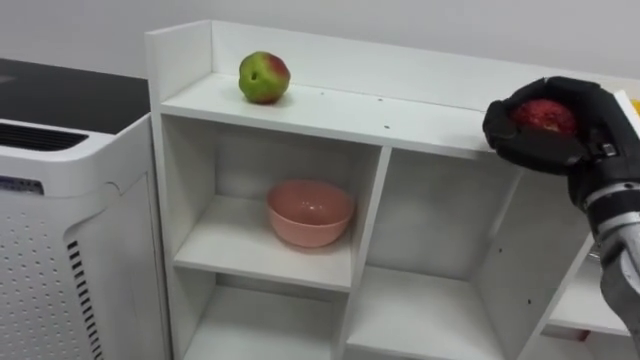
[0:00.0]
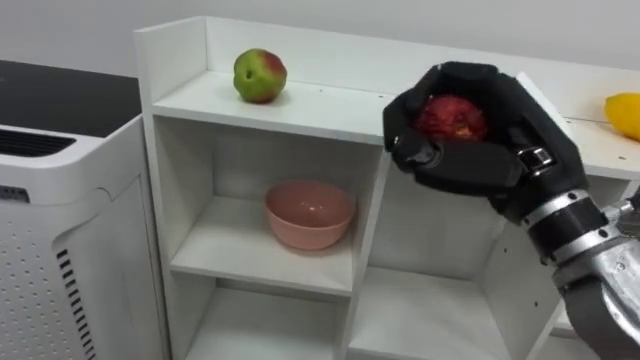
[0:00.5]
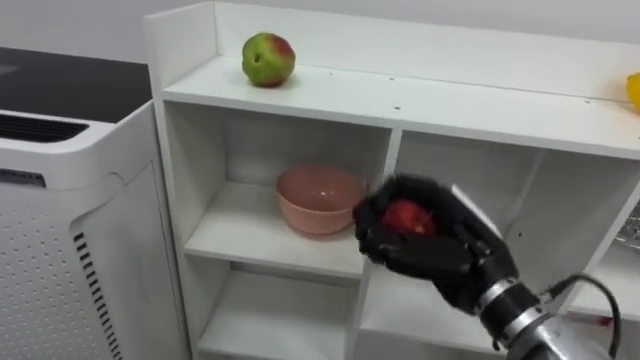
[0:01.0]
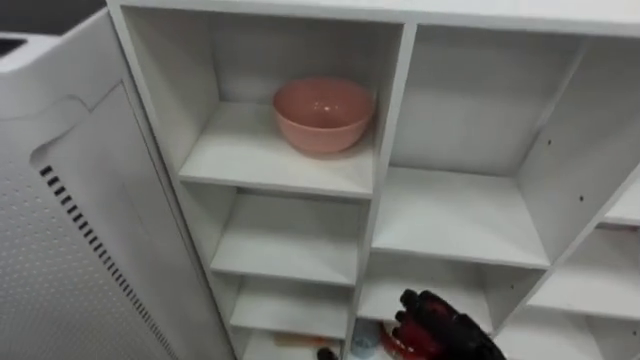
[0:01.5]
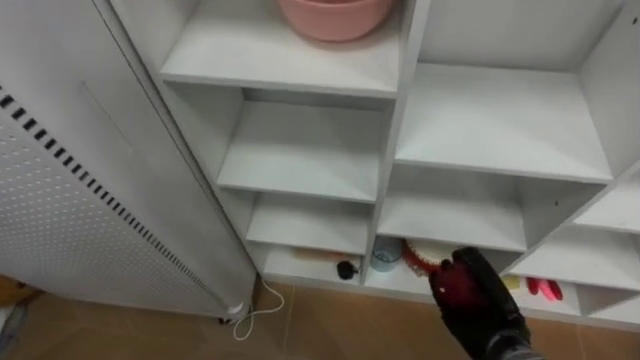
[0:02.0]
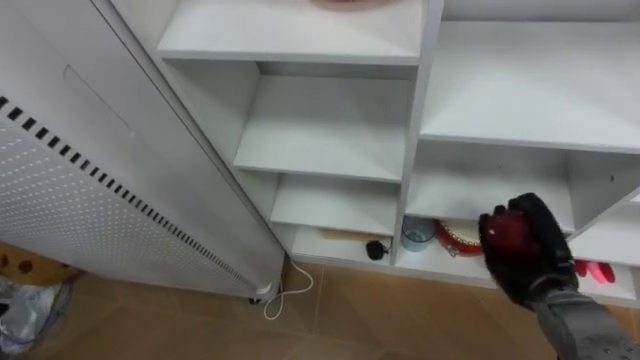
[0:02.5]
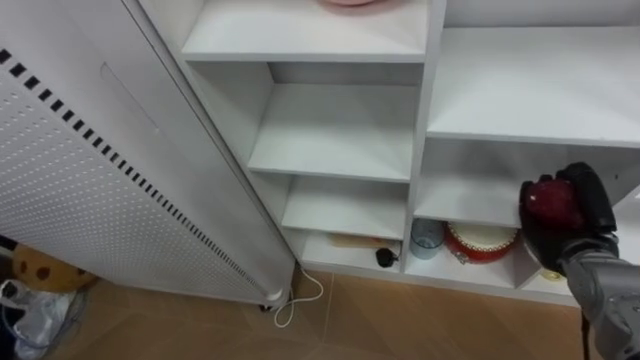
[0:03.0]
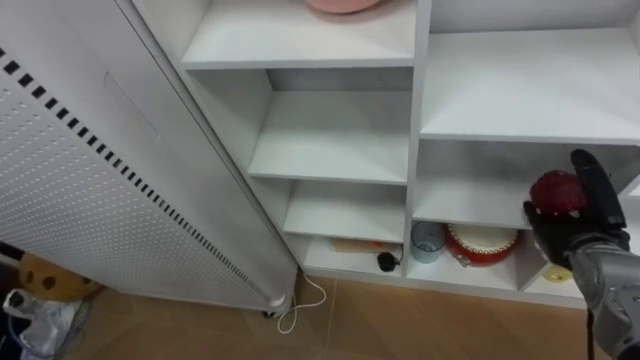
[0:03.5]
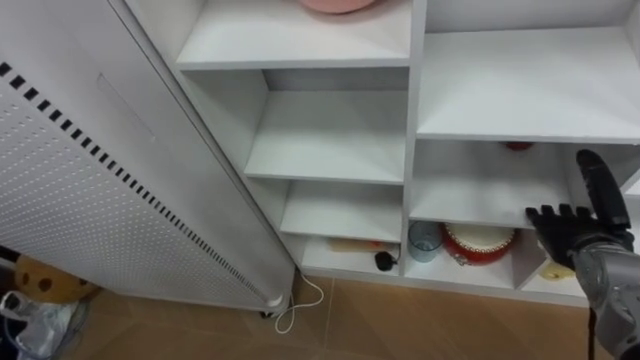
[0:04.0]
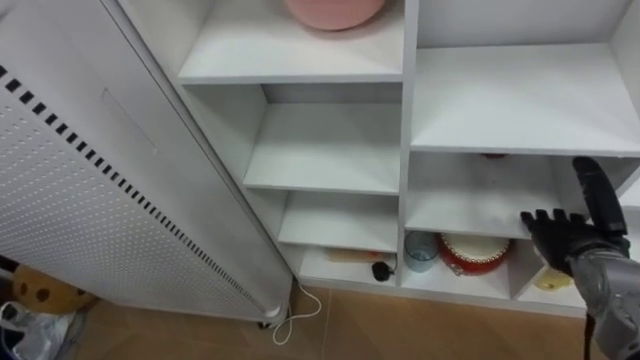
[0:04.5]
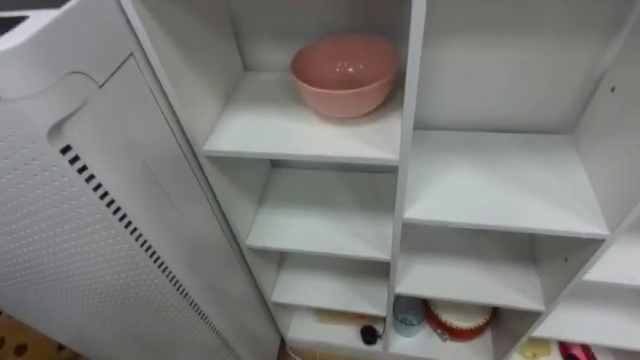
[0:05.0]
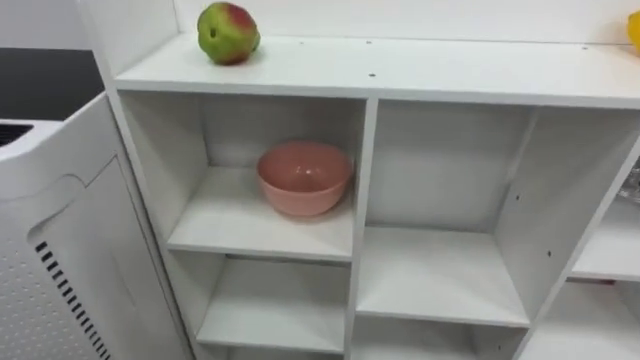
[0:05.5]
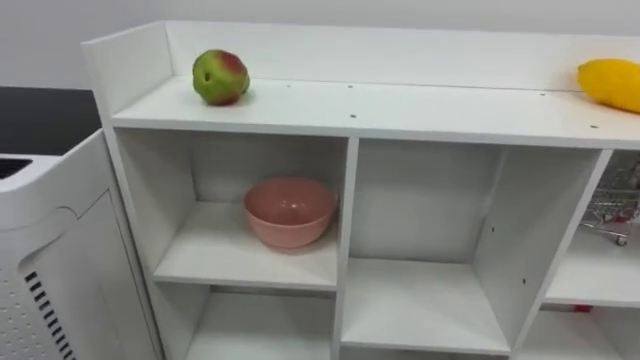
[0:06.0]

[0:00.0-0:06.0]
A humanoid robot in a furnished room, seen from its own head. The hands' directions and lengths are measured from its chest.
Task of the whole recording: Put the apple in the cell in the second column from the left and the second row from the top.
0:00.0 to 0:02.0: The right hand travels downward by roughly 25 cm.
0:02.0 to 0:04.0: The right hand shifts approximately 15 cm upward and to the right, and opens its fingers.

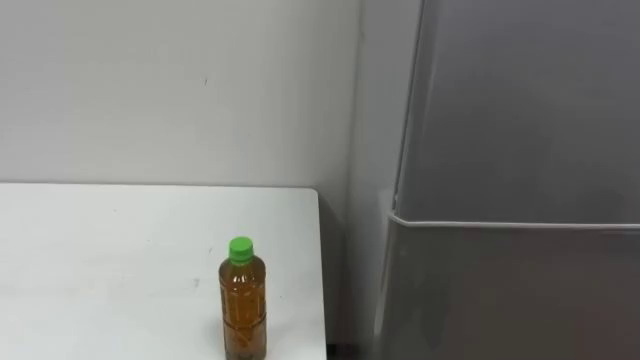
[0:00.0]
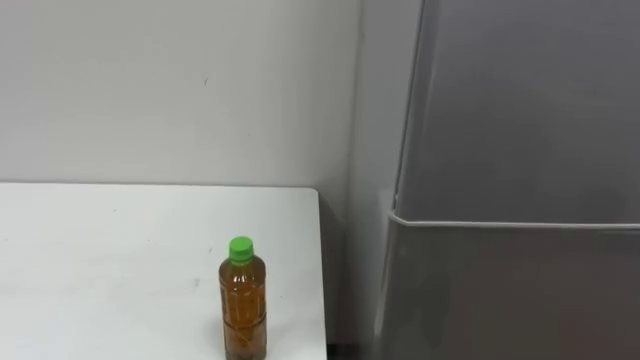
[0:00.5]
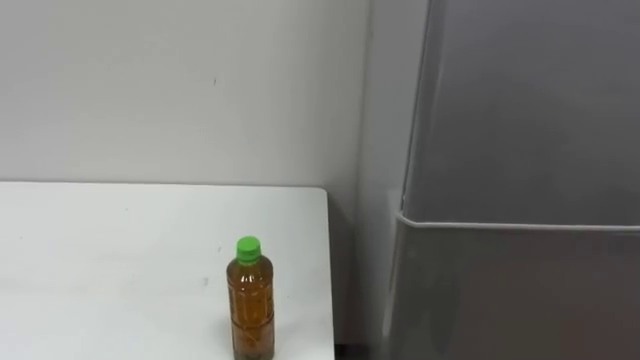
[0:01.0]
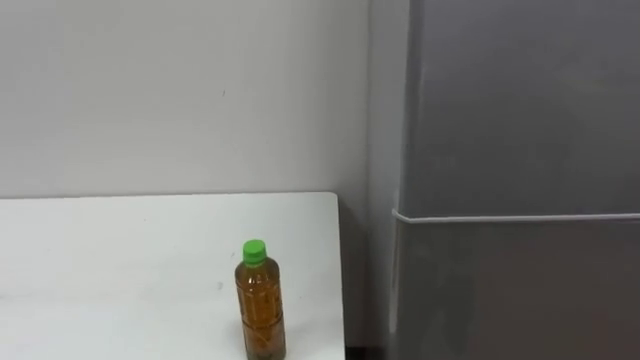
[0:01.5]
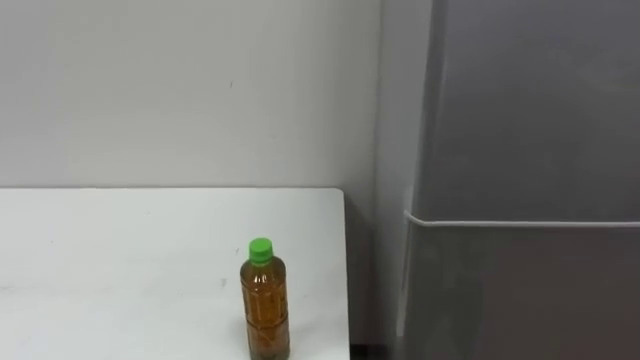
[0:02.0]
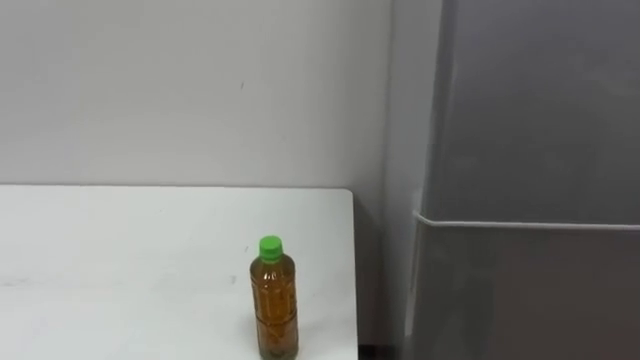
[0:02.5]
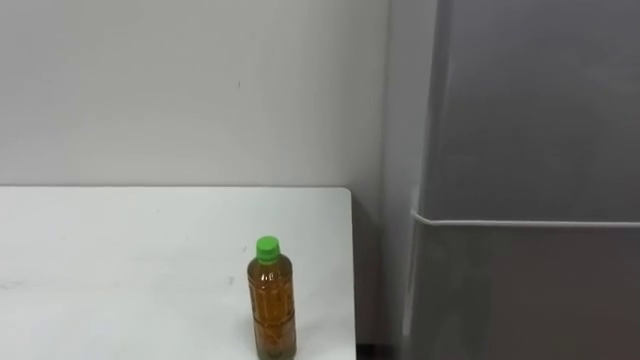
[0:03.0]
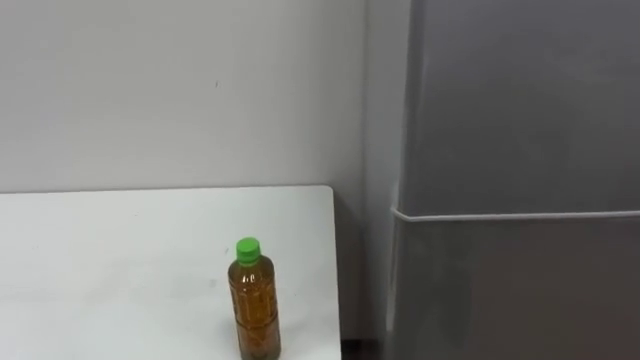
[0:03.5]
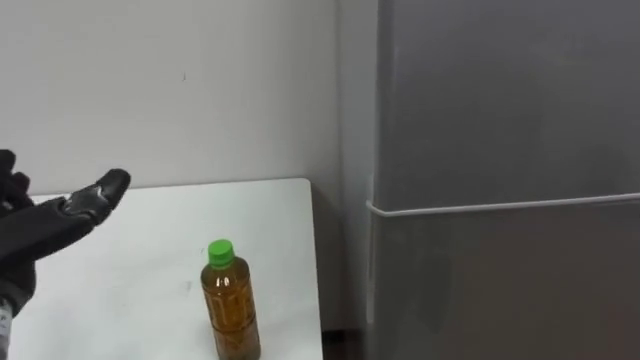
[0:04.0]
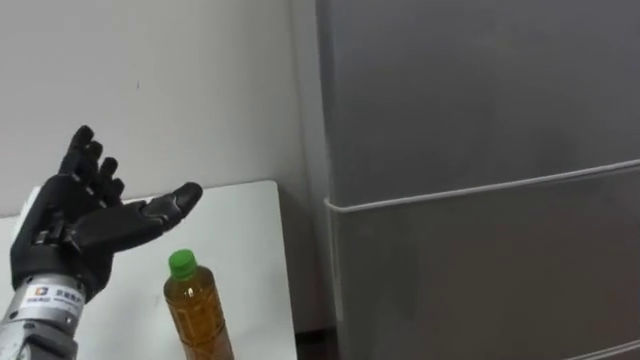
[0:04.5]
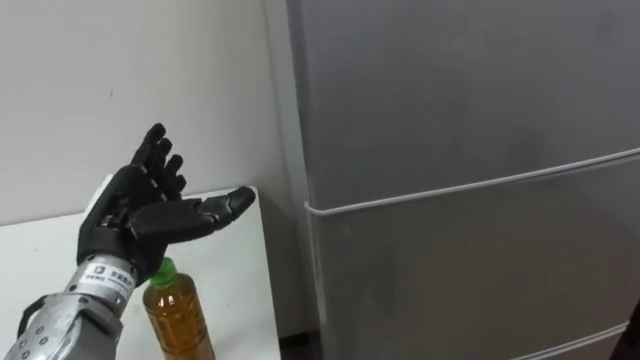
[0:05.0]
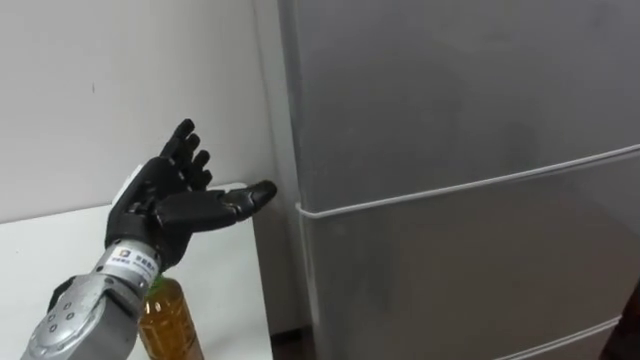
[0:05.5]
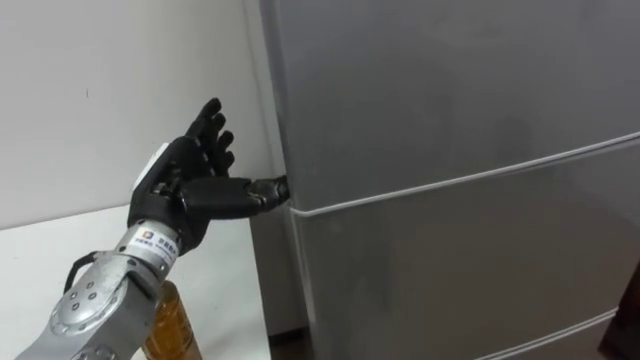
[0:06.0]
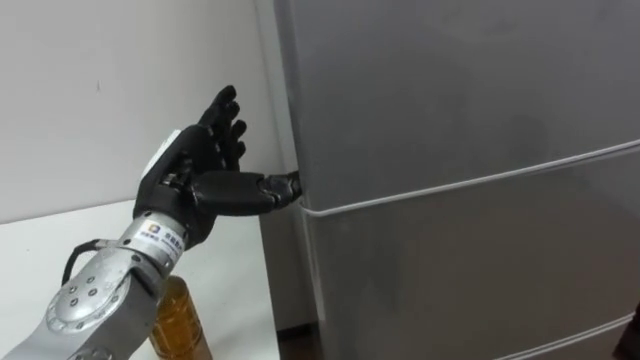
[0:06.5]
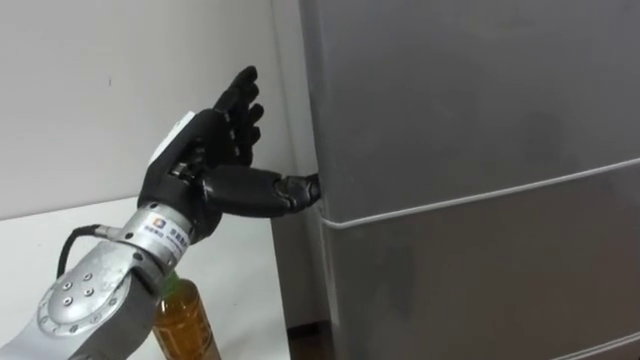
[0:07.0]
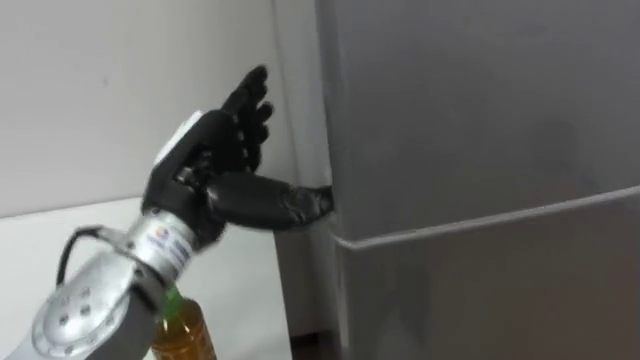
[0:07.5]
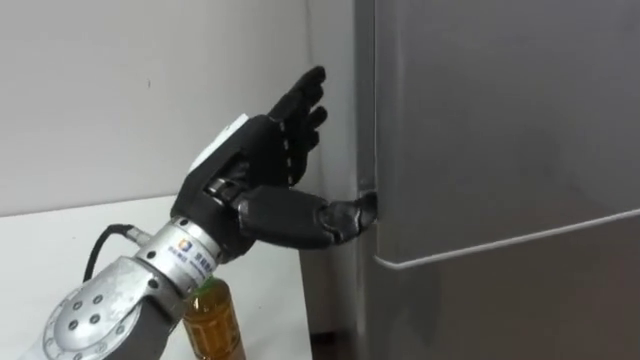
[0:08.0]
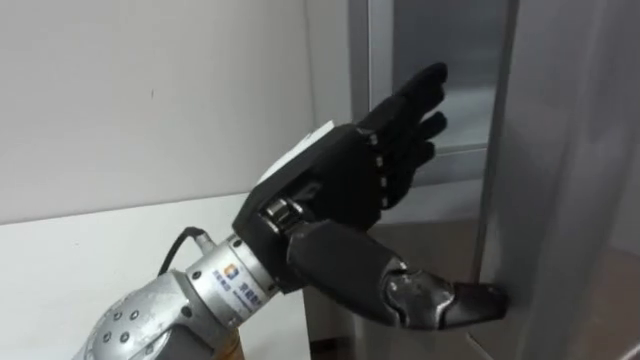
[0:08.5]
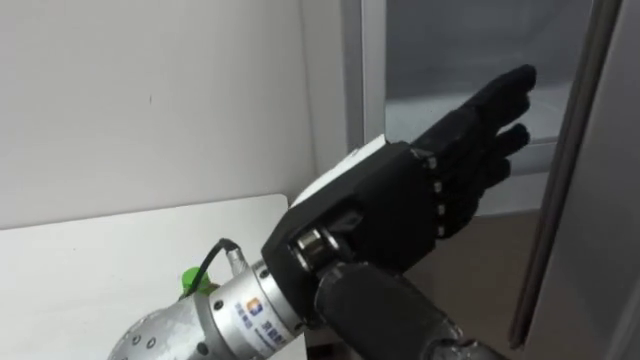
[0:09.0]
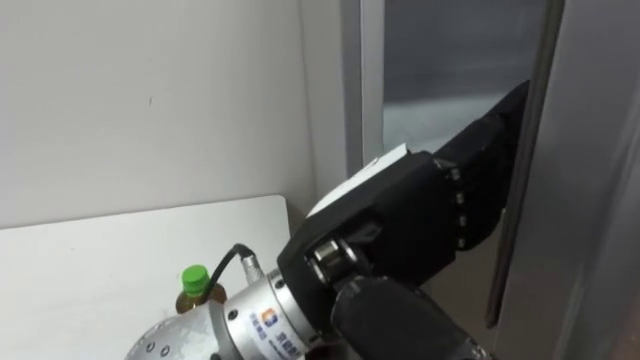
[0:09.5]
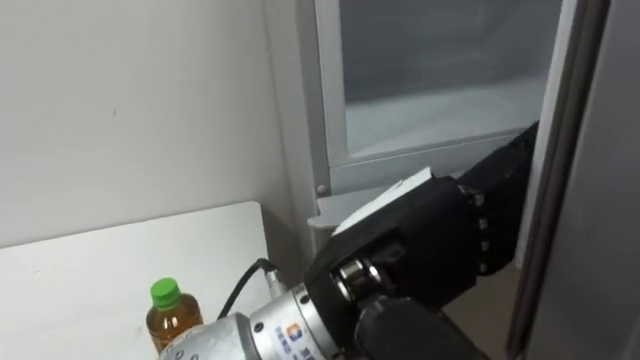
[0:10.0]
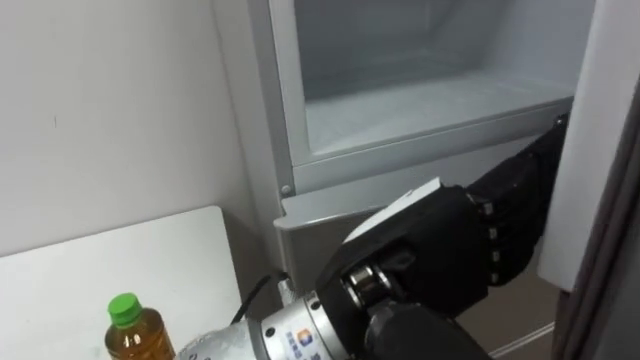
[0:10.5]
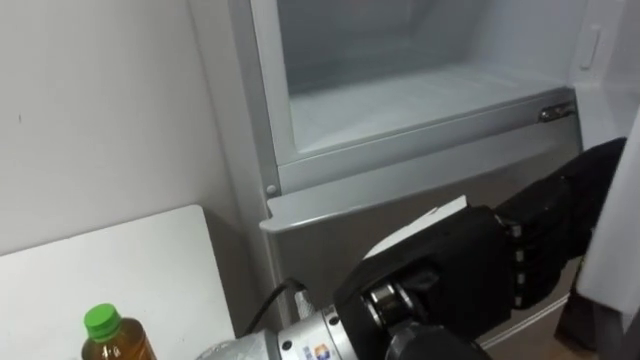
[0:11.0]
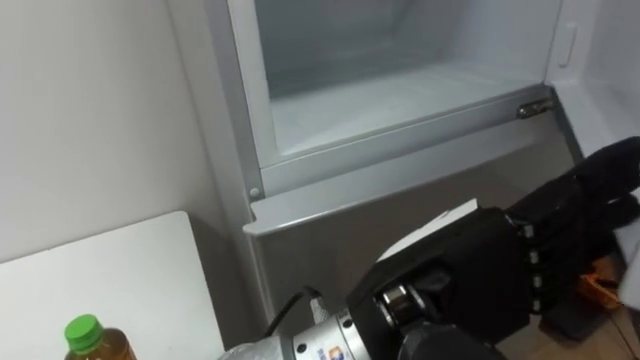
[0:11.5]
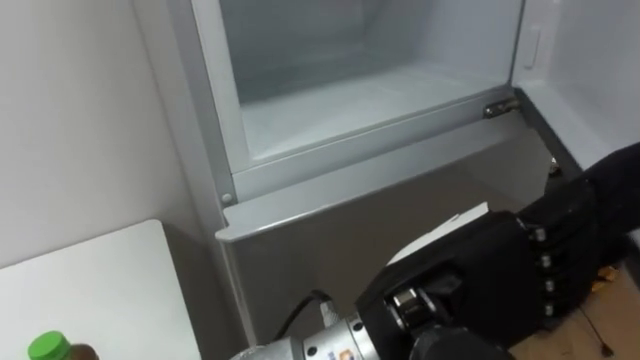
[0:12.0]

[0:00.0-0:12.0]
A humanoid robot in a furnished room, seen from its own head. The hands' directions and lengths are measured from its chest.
Task of the whole recording: Open the upper refrigerator door, put the drink from the table into the refrigerator, and then close the refrigerator door.
0:06.0 to 0:08.0: The left hand moves to the right and backward, roughly 10 cm.
0:08.0 to 0:10.0: The left hand heads to the right and backward, covering approximately 15 cm.

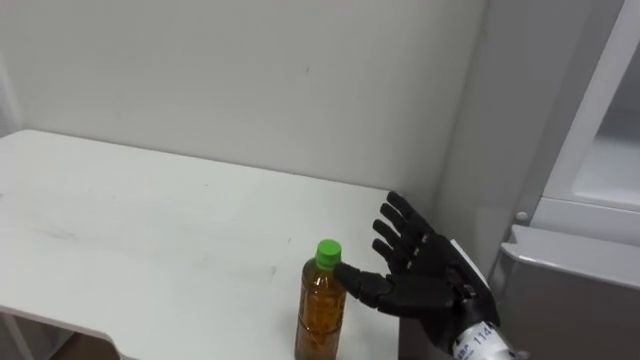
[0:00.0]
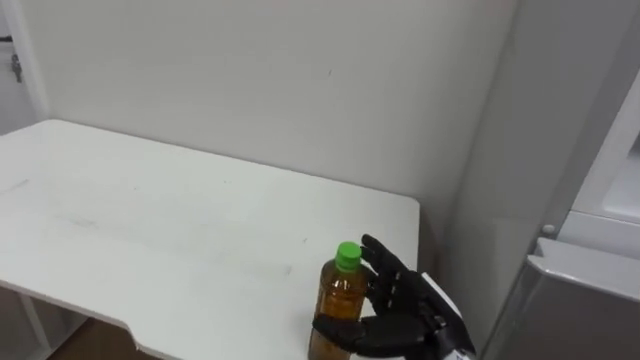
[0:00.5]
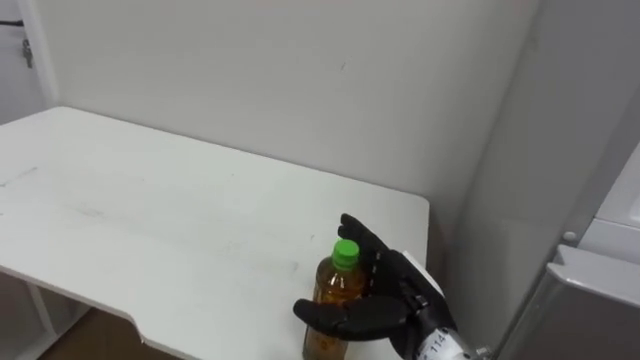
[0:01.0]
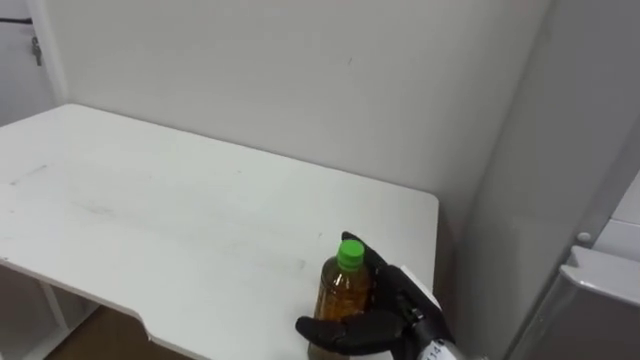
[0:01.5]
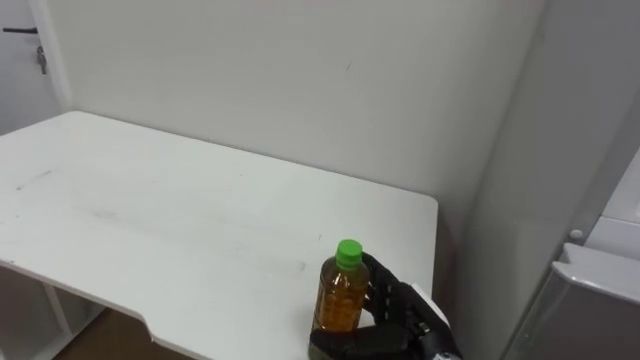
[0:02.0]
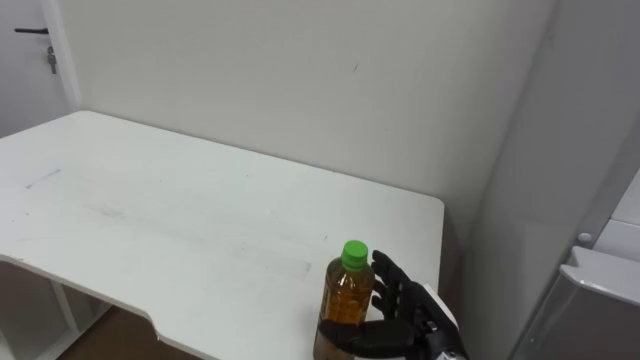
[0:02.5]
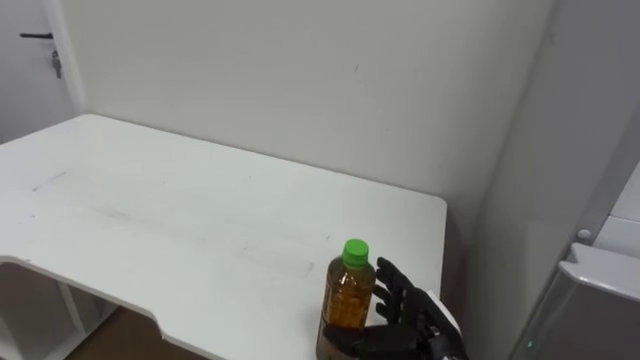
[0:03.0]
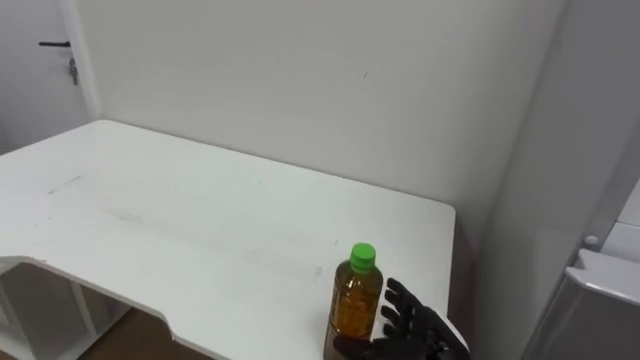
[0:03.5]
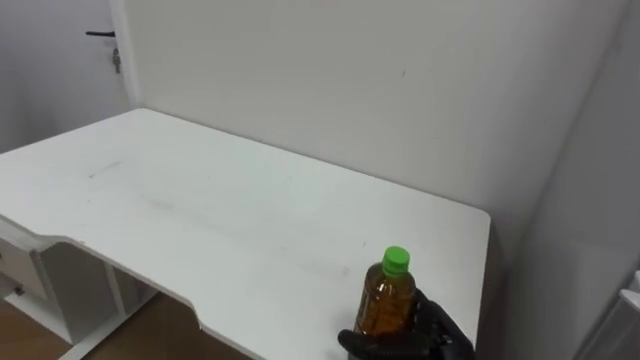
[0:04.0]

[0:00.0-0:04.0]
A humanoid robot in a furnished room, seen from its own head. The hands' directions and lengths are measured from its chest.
Task of the whole recording: Open the upper refrigerator door, put the drink from the table into the refrigerator, and then close the refrigerator door.
0:00.0 to 0:02.0: The right hand heads downward, covering some 5 cm.
